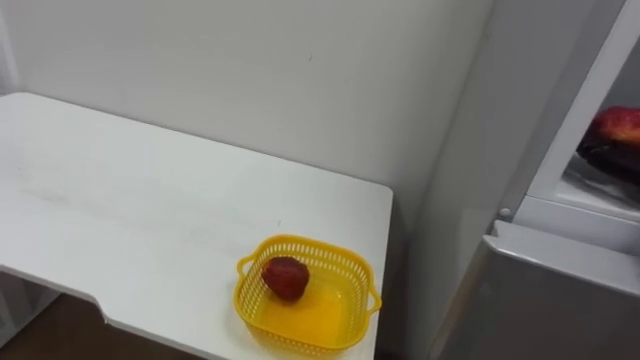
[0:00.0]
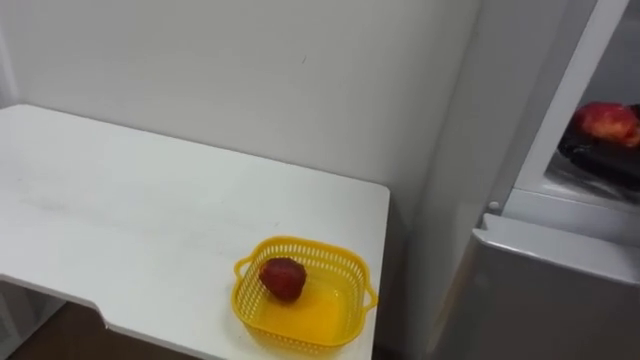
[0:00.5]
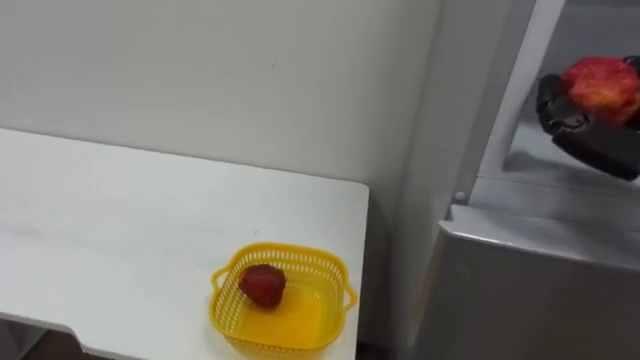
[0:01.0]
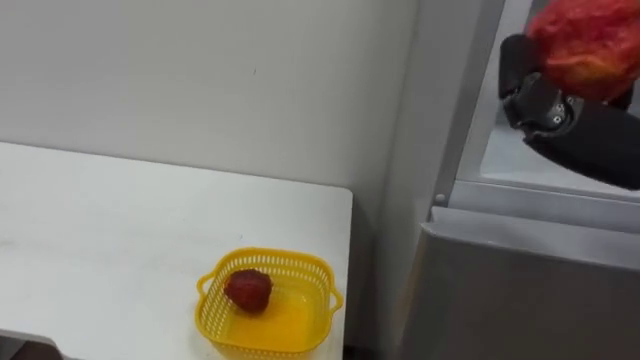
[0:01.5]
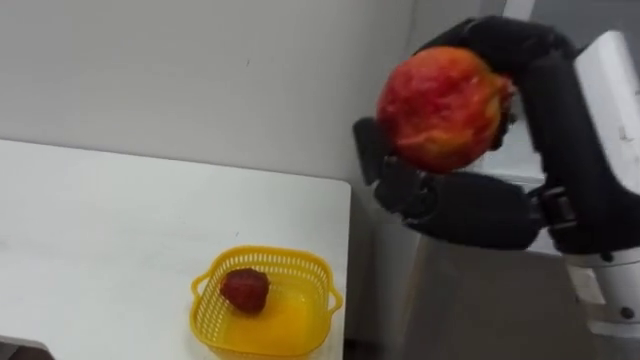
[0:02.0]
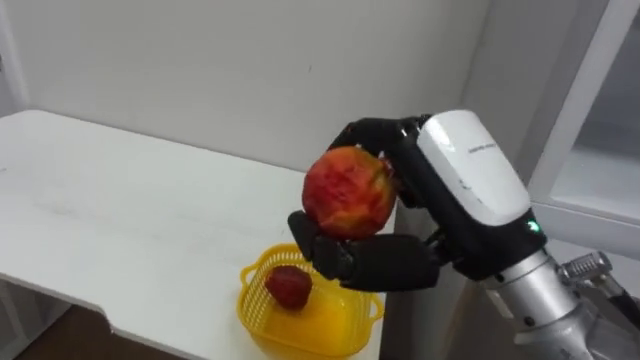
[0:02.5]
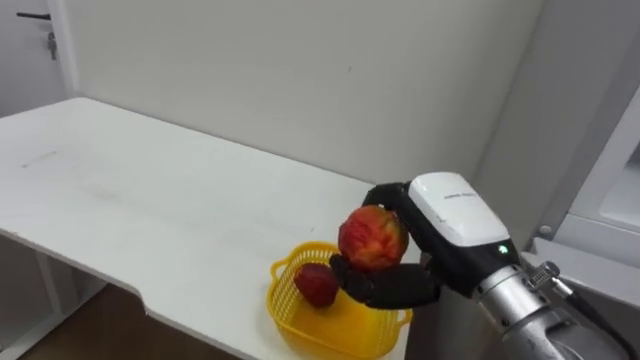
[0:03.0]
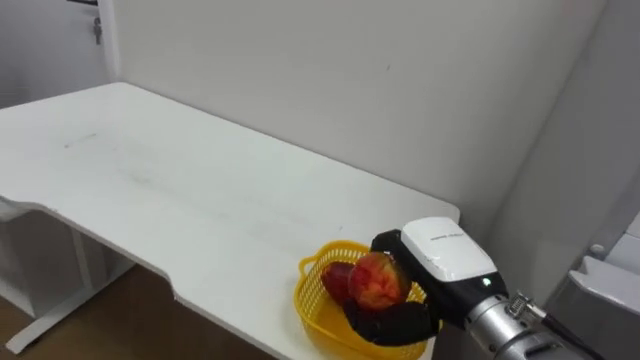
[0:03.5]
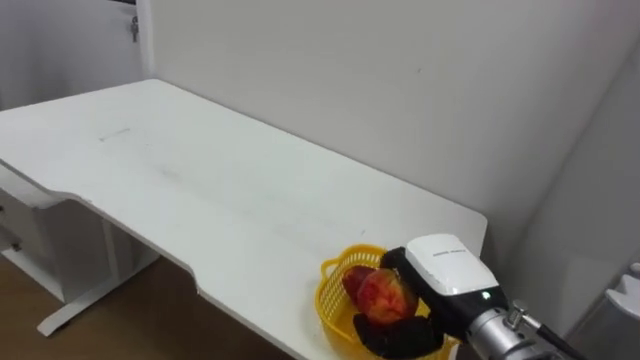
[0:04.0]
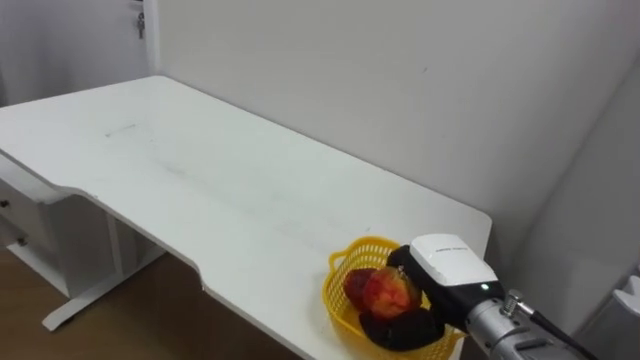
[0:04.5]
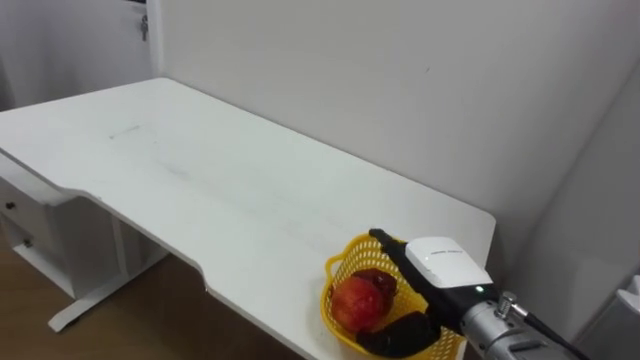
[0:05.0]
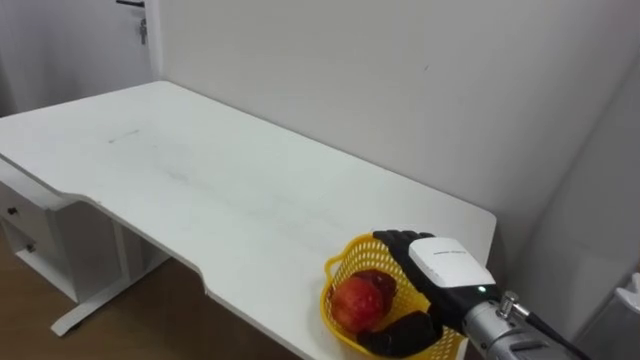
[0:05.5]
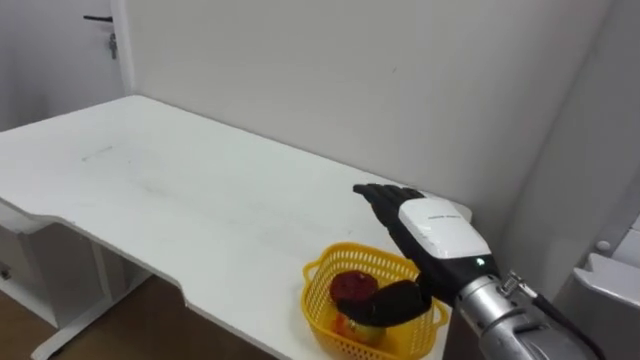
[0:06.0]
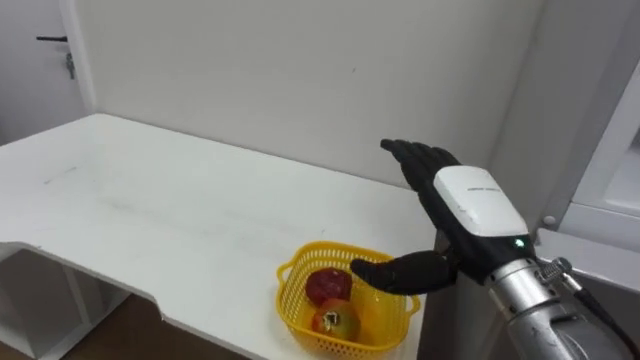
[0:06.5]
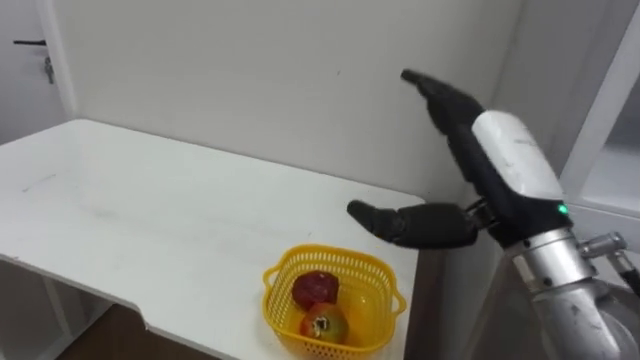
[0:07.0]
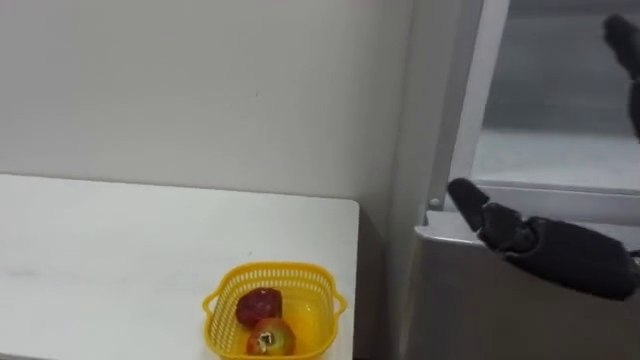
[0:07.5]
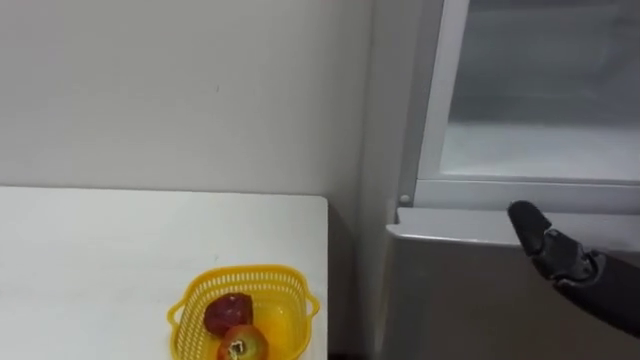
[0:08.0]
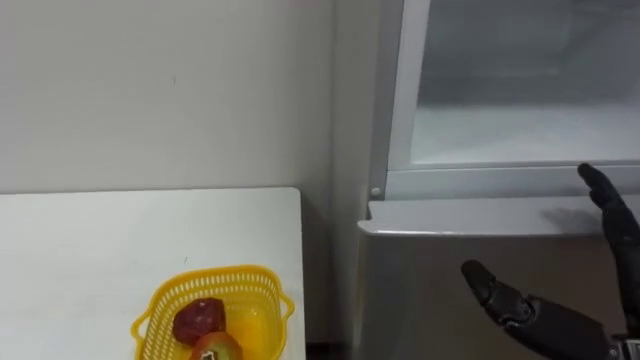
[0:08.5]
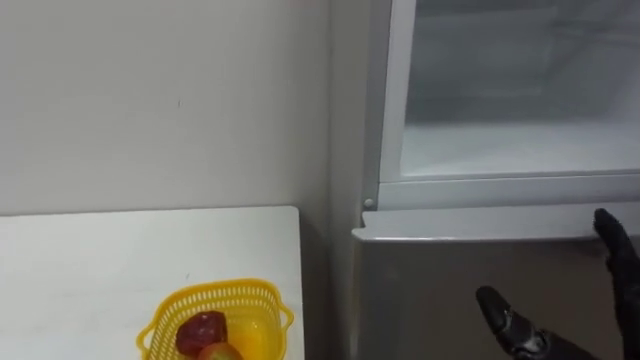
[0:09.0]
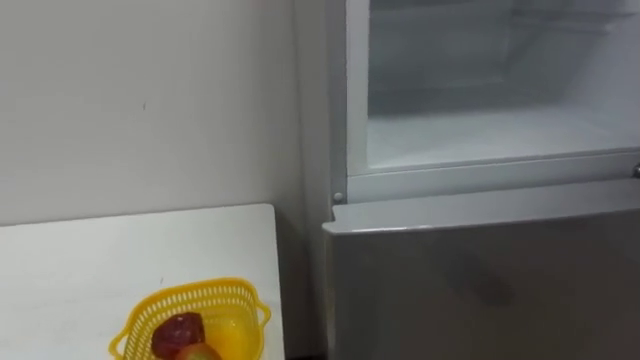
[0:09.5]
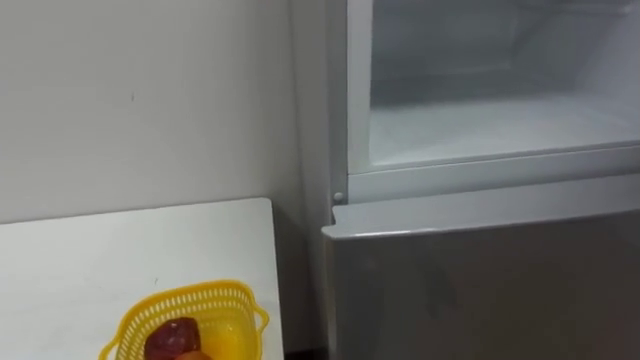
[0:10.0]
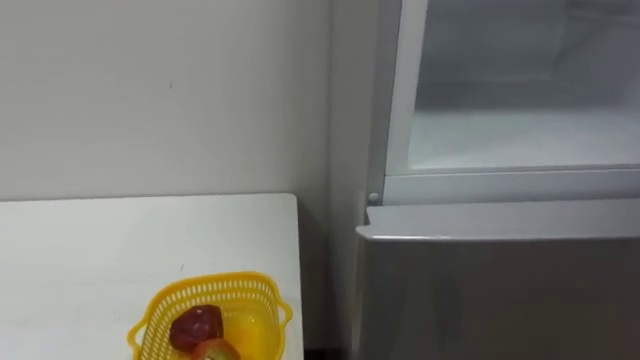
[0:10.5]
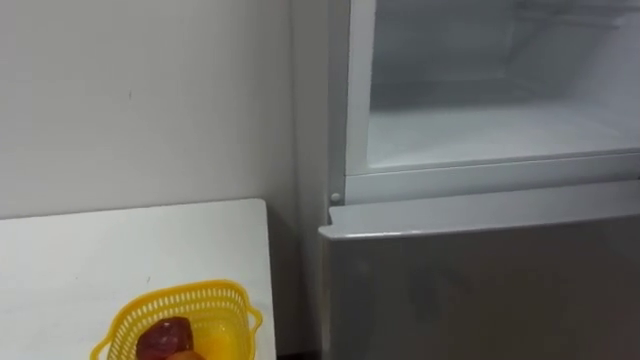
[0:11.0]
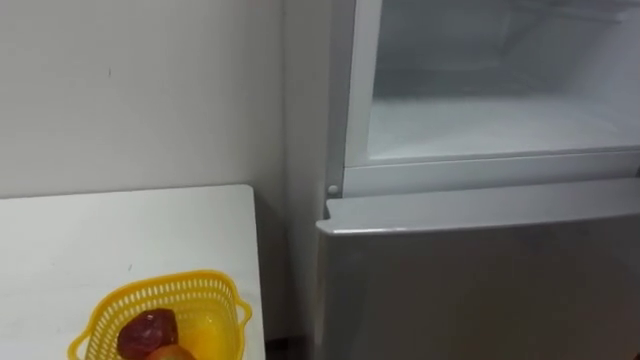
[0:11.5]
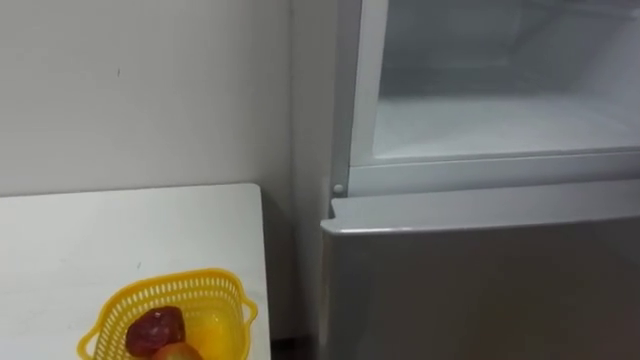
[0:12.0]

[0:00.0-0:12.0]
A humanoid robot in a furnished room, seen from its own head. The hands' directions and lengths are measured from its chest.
Task of the whole recording: Open the refrigerator door, take out the apple and the pomegranate, place them in the fruit basket on the left, and close the refrigerator door.
0:02.0 to 0:04.0: The right hand is displaced downward and forward by approximately 25 cm.
0:04.0 to 0:06.0: The right hand opens up.

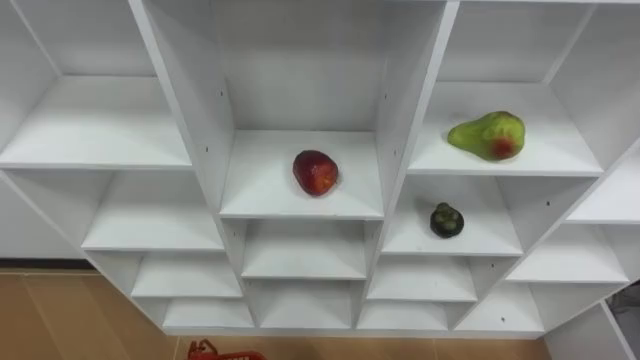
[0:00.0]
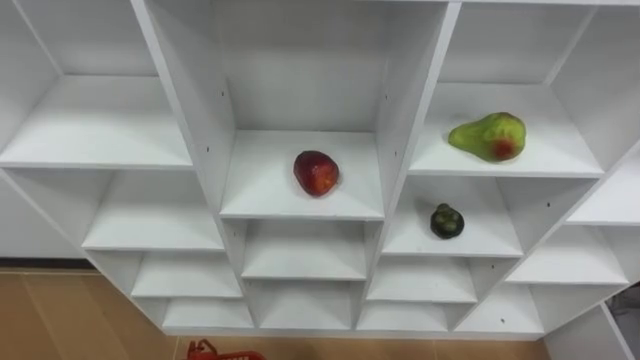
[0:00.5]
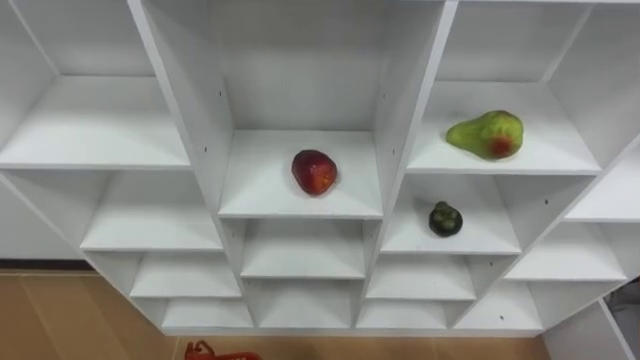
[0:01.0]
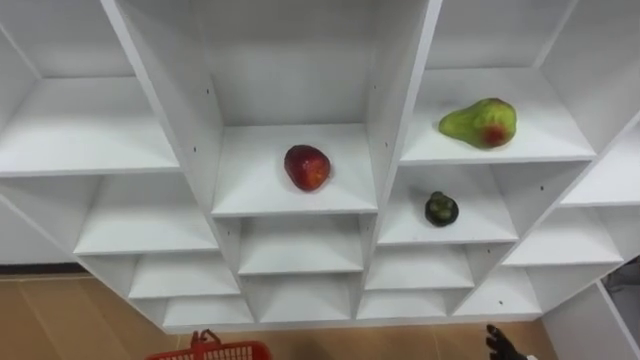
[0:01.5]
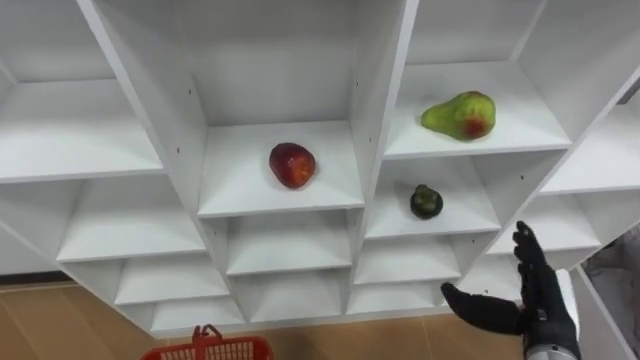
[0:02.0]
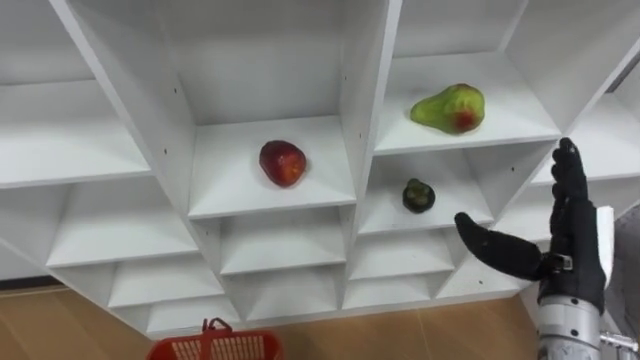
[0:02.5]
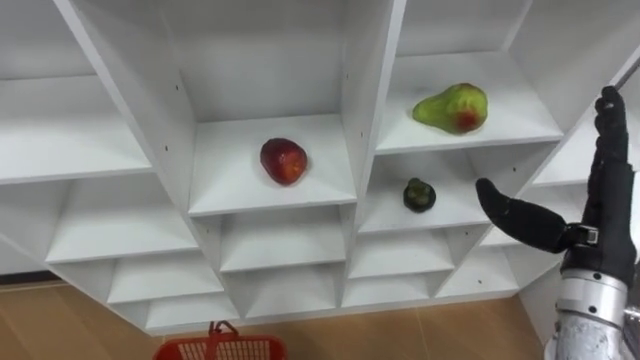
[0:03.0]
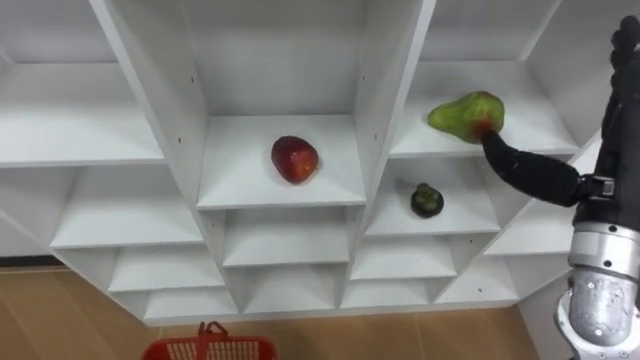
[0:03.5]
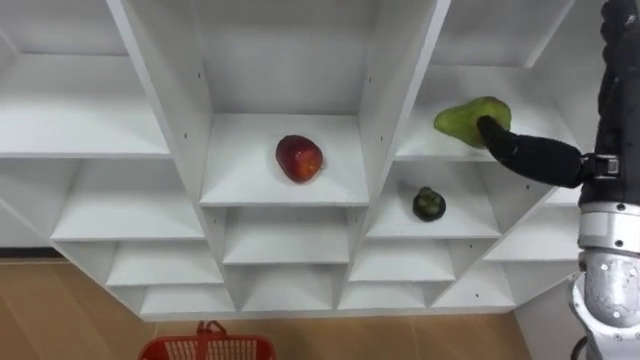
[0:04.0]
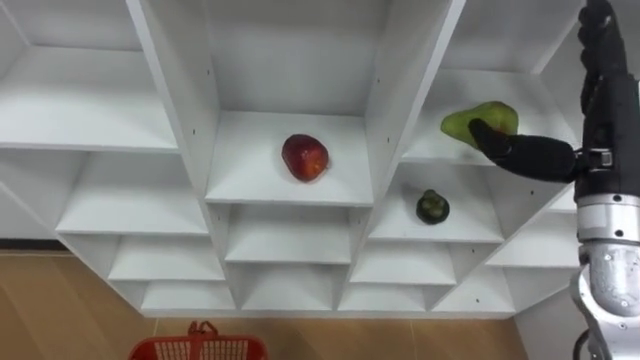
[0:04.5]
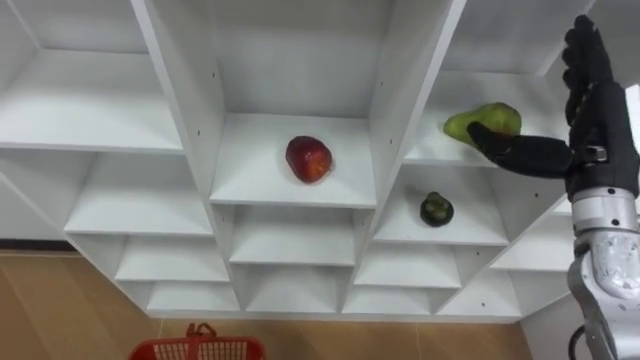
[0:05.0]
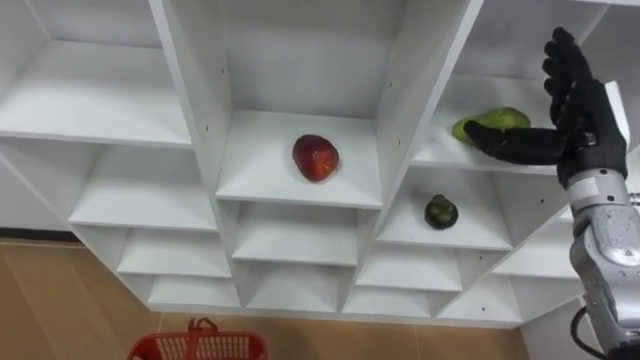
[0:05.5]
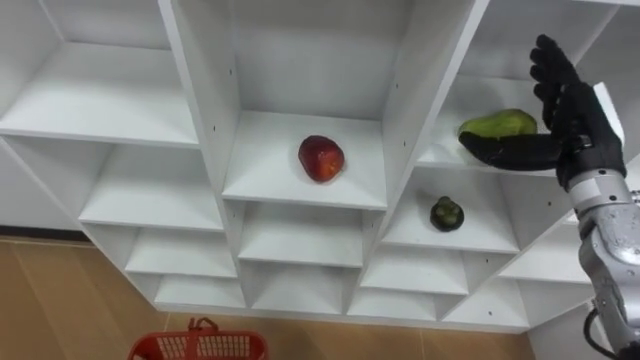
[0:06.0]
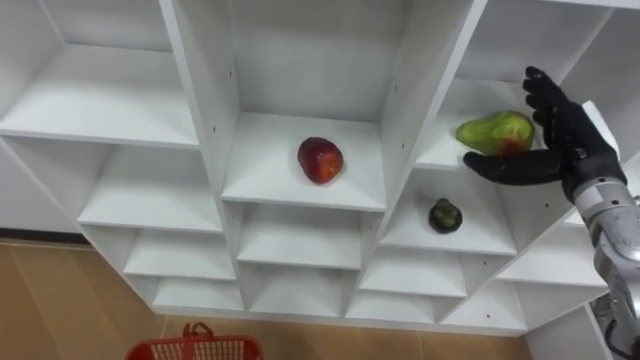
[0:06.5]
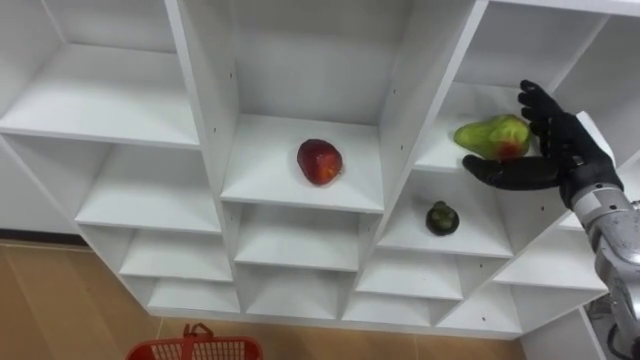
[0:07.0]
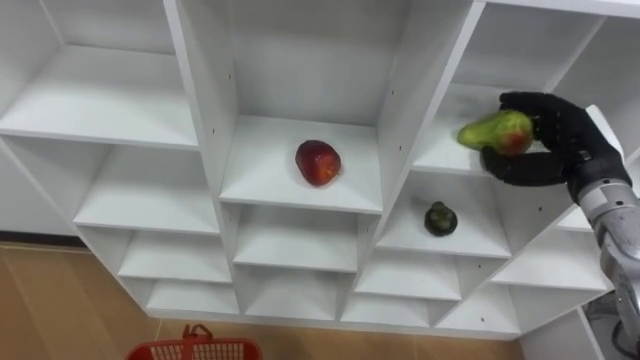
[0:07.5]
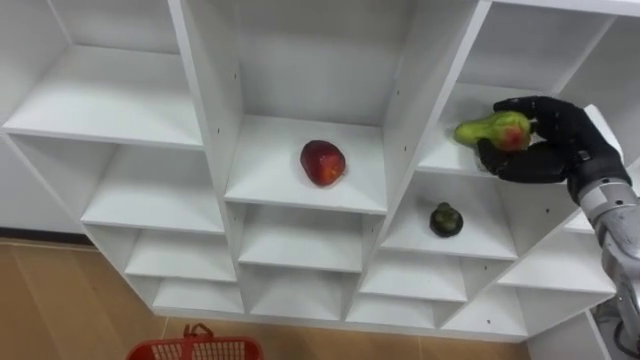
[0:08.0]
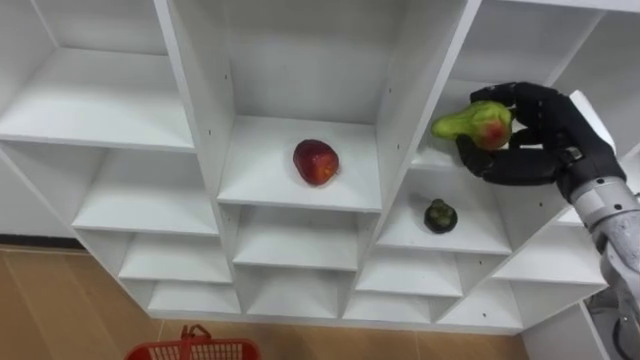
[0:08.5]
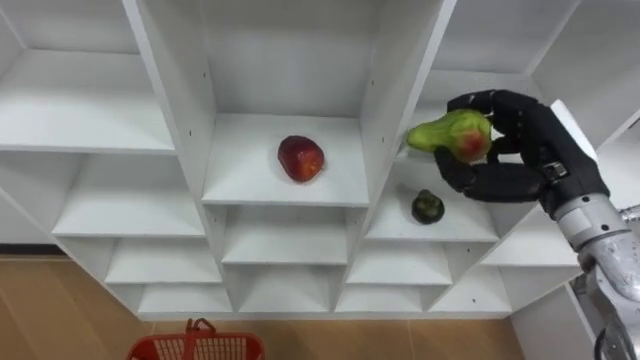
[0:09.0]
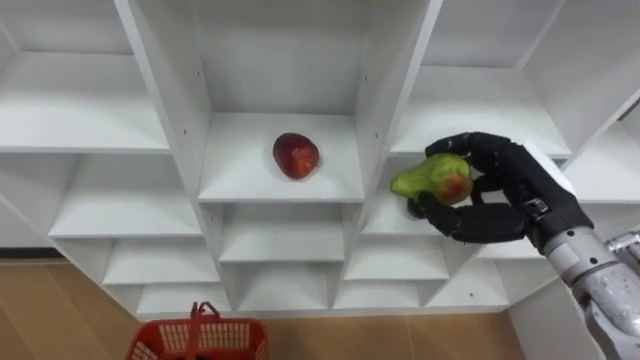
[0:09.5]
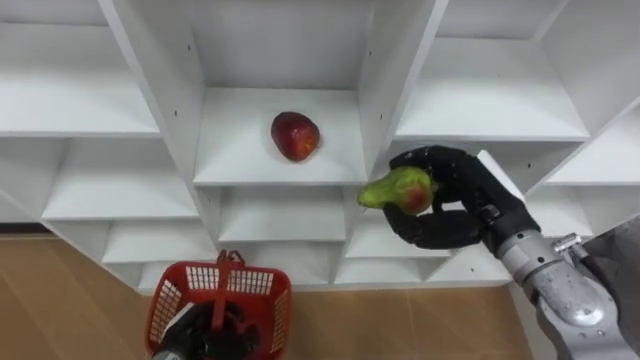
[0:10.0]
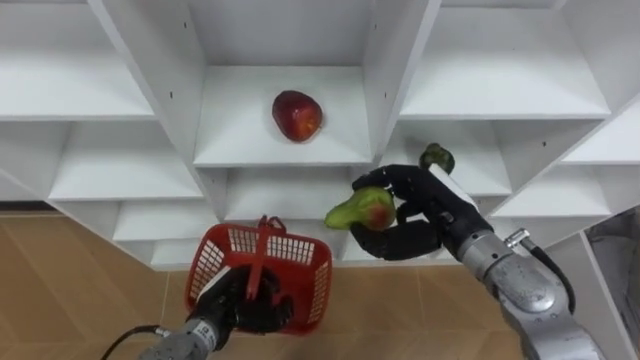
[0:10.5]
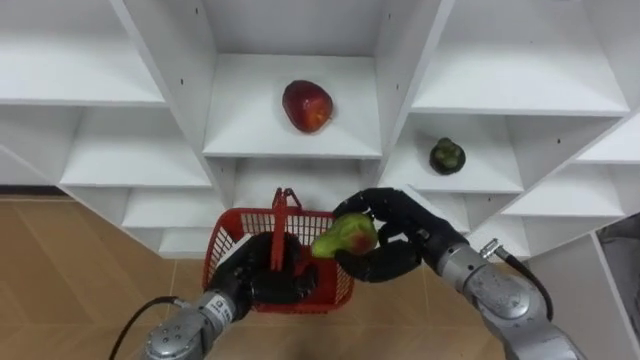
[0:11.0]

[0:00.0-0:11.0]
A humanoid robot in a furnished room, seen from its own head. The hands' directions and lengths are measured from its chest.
Task of the whole recording: Hold the basket and collect the fruits from 3 different cells of the closet into it.
0:02.0 to 0:03.5: The right hand goes approximately 20 cm upward.
0:03.5 to 0:05.5: The right hand moves forward, some 10 cm.
0:07.5 to 0:09.0: The right hand moves to the left, approximately 5 cm.
0:09.0 to 0:11.0: The right hand travels to the left and downward by about 15 cm.
